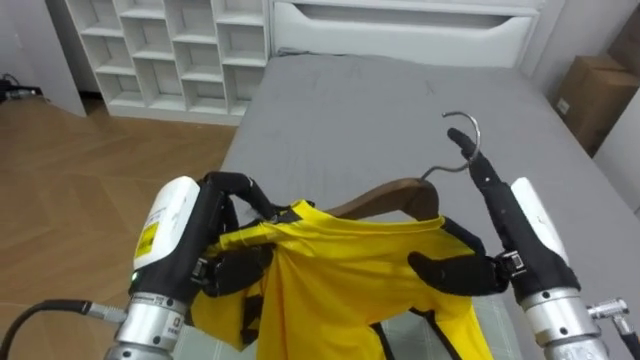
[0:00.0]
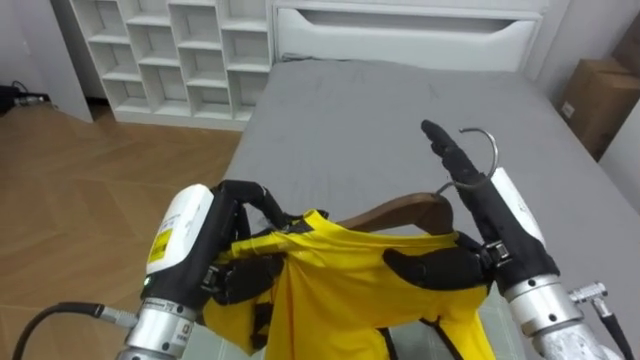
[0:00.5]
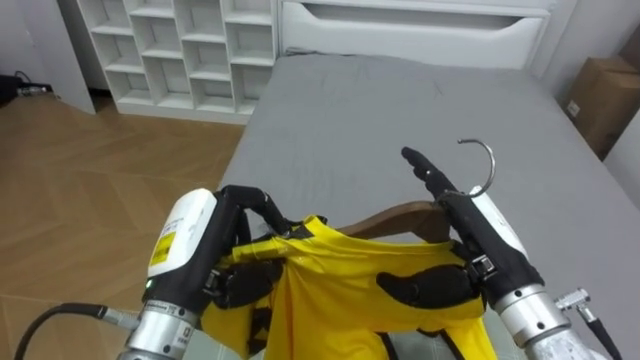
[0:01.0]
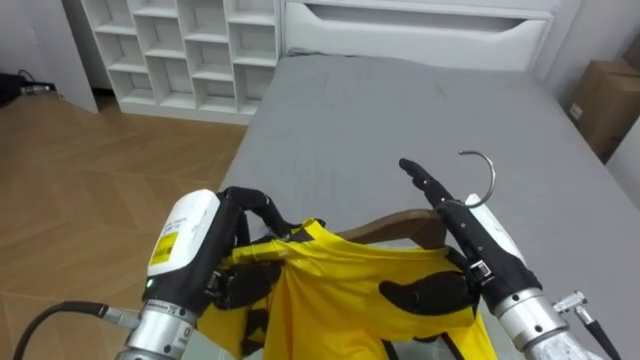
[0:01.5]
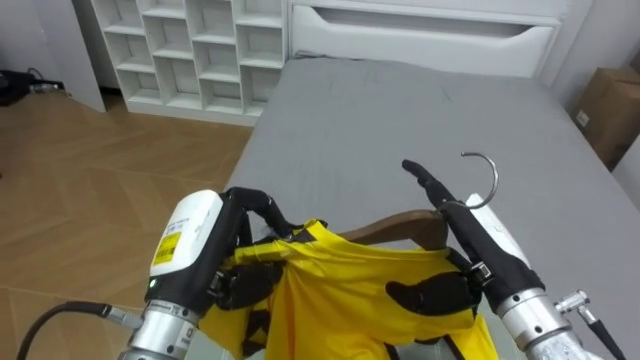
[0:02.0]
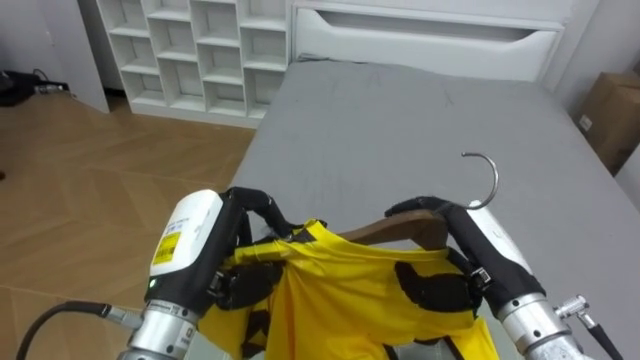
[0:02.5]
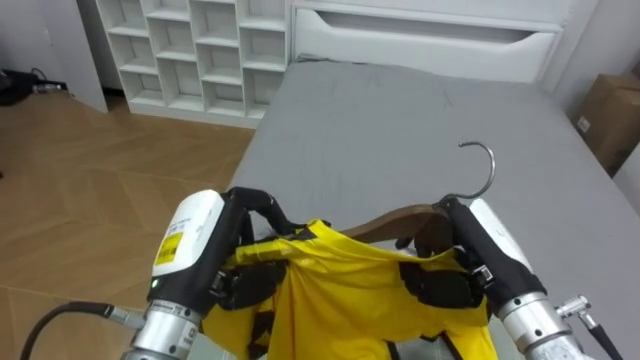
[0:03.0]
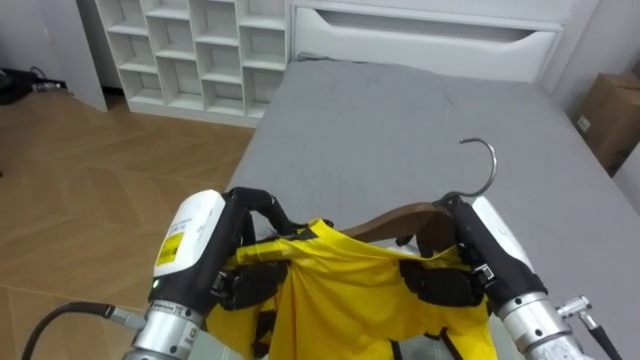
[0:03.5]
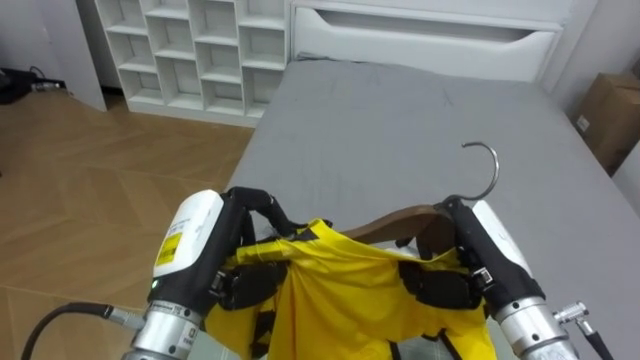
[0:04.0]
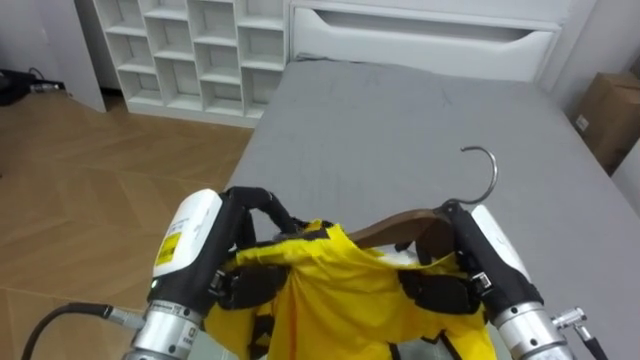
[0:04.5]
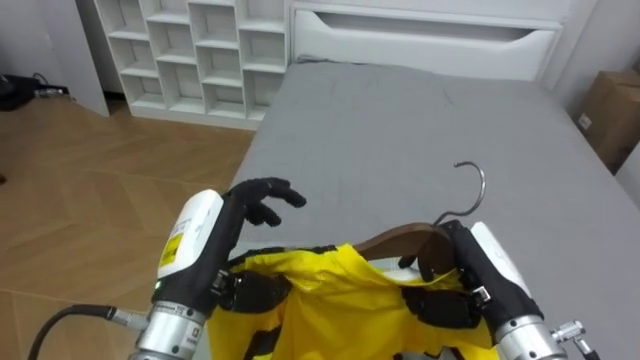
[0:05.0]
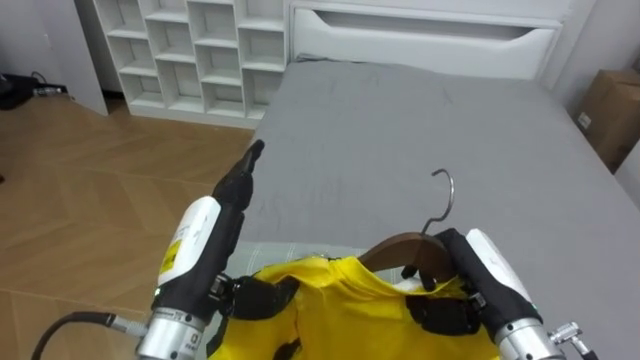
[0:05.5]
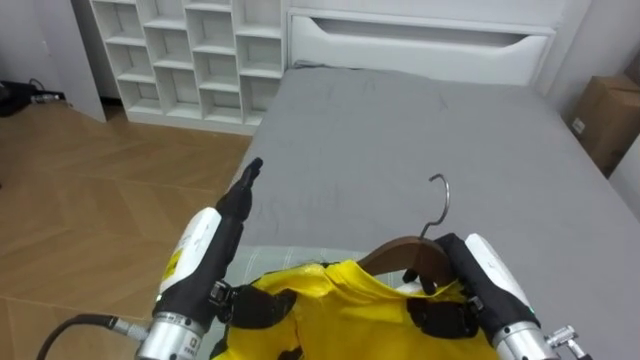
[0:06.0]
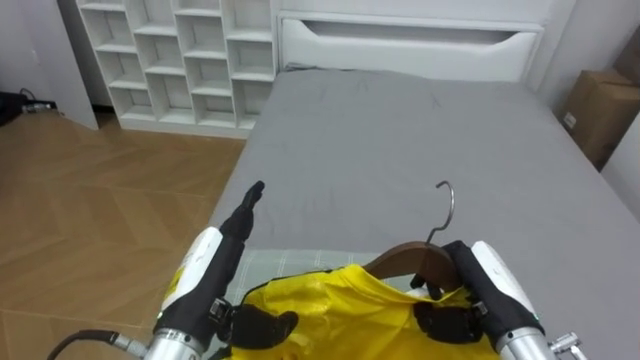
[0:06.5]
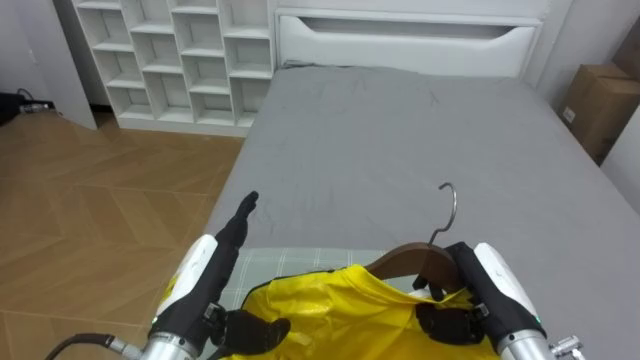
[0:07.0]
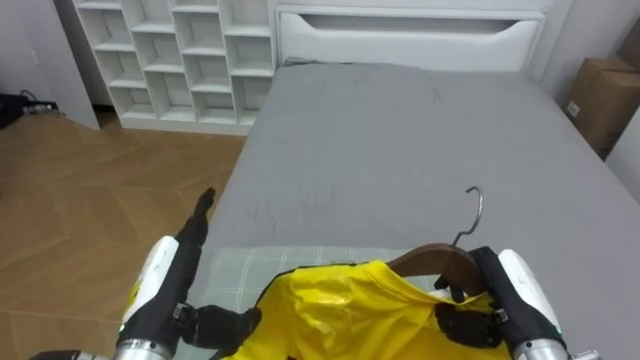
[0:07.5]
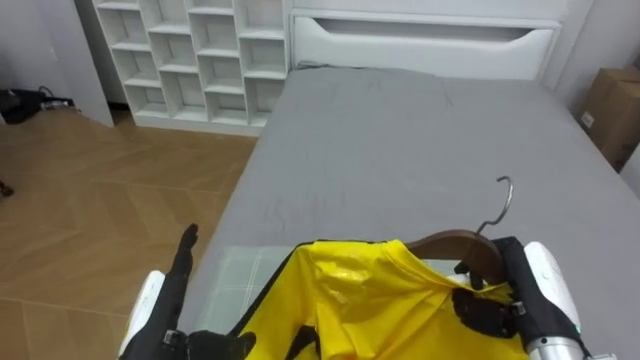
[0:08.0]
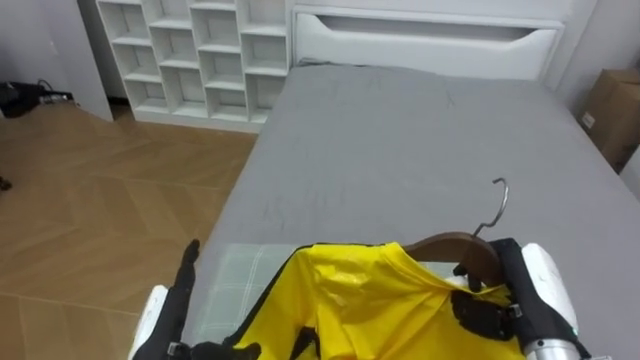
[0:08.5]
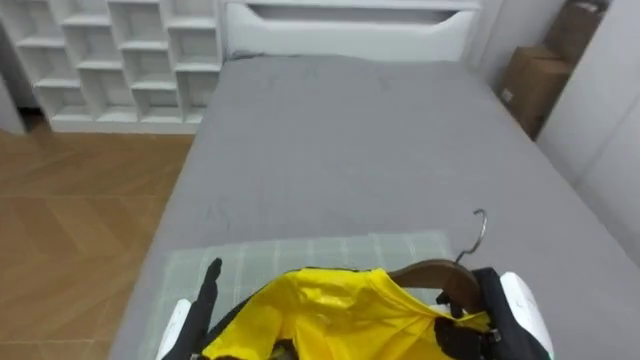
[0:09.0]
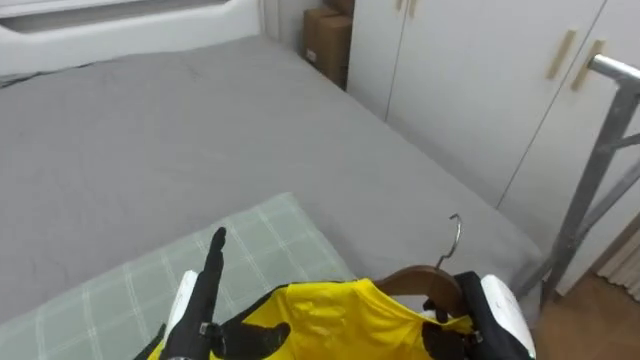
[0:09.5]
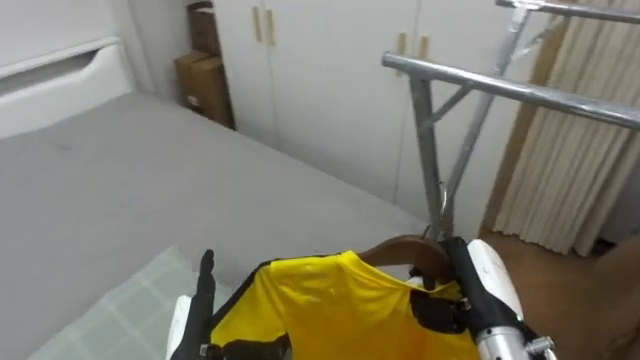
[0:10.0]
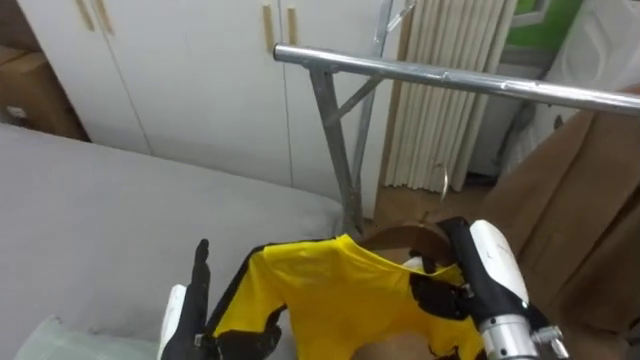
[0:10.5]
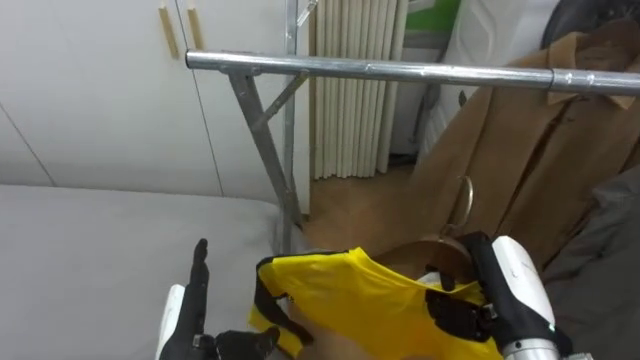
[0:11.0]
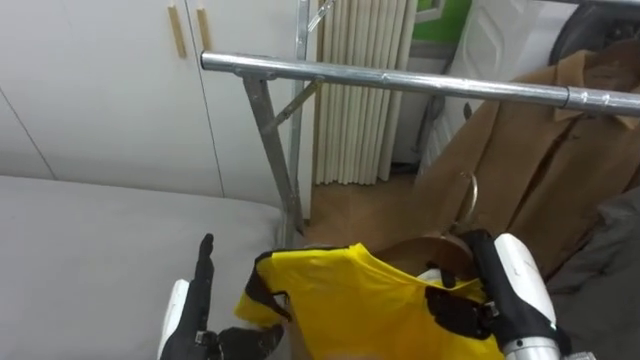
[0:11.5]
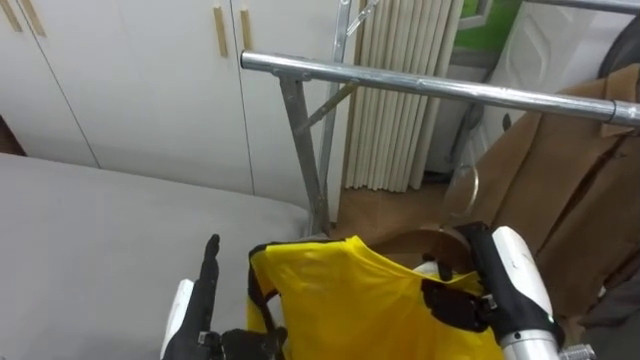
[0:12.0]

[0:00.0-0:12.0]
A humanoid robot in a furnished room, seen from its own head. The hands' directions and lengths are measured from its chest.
Task of the whole recording: Pick up the yellow shirt on the bed and hang it on the clothes rack on the right.
0:02.0 to 0:04.0: The right hand closes up.
0:04.0 to 0:06.0: The left hand opens.
0:06.0 to 0:08.0: The right hand is displaced to the right by some 5 cm; the left hand shifts approximately 10 cm downward and to the left.
0:08.0 to 0:10.0: The robot faces about 60 degrees further to its right. The right hand travels to the left by about 5 cm. The left hand changes place by some 5 cm.
0:10.0 to 0:12.0: The robot turns to its right by approximately 30 degrees. The right hand shifts by some 5 cm.

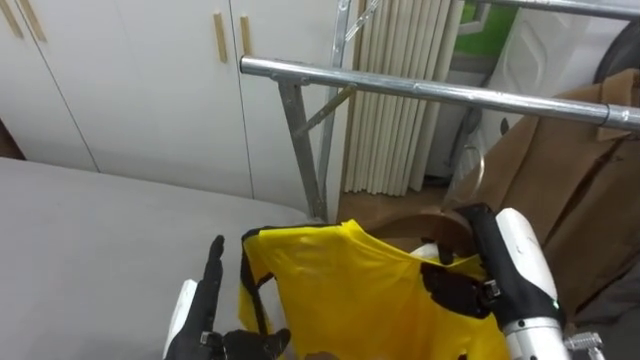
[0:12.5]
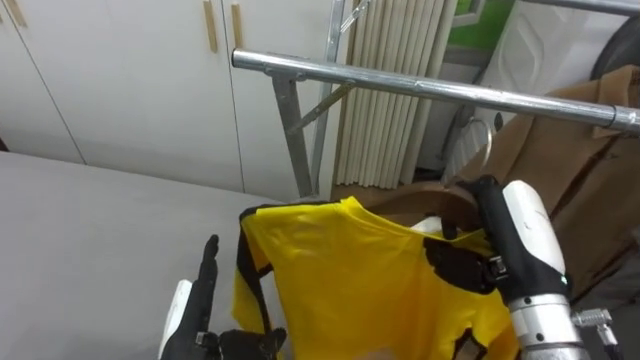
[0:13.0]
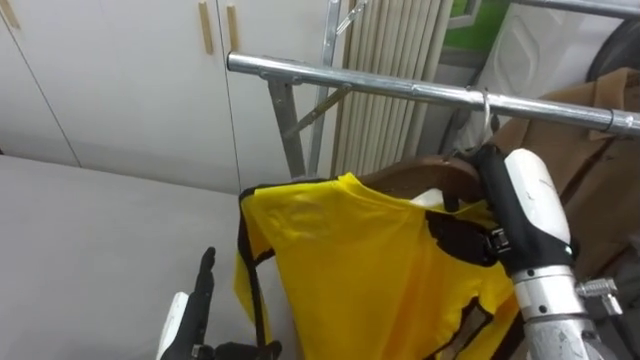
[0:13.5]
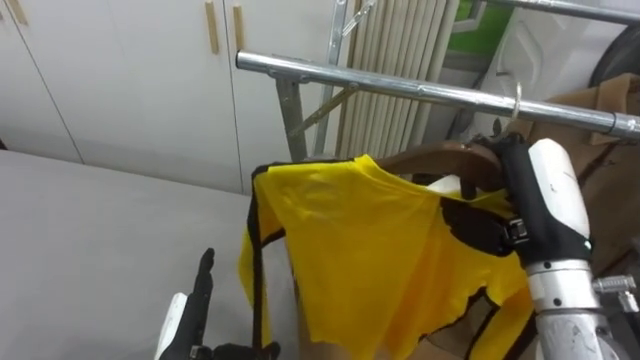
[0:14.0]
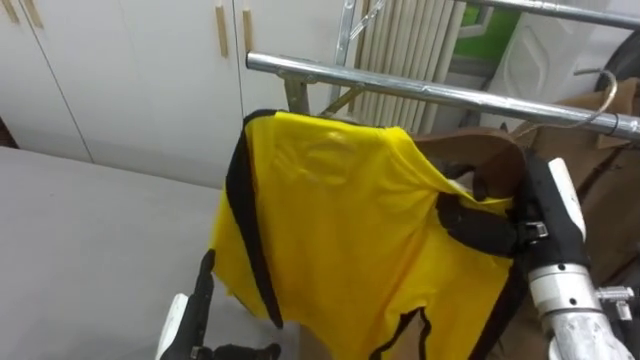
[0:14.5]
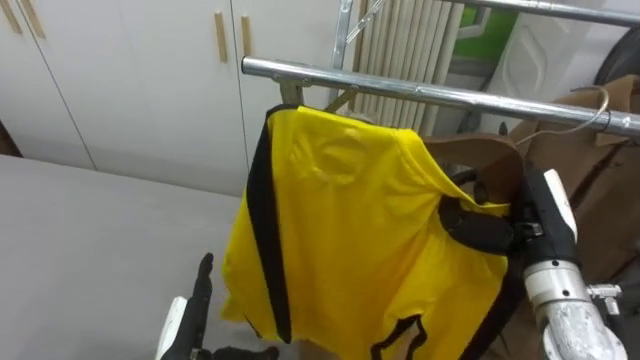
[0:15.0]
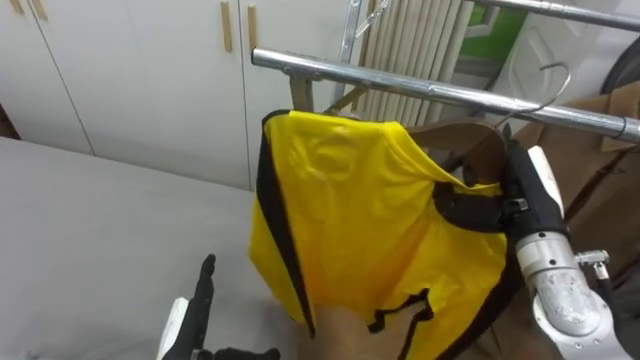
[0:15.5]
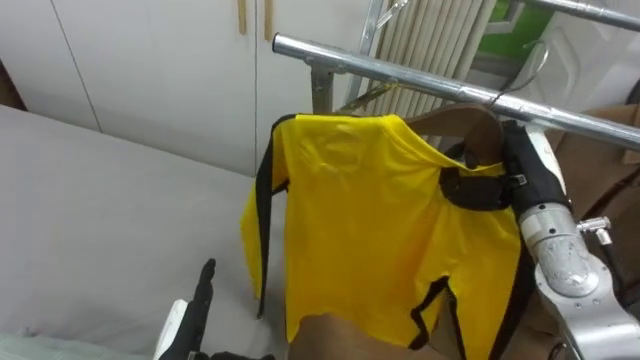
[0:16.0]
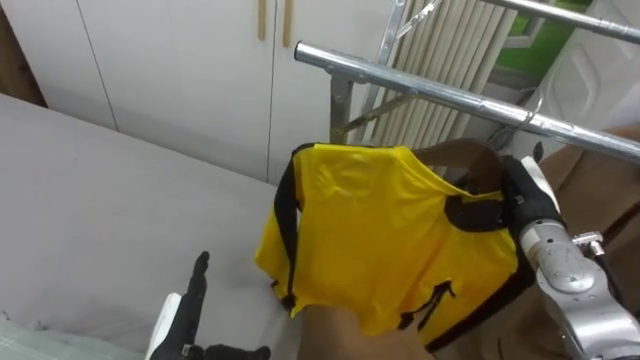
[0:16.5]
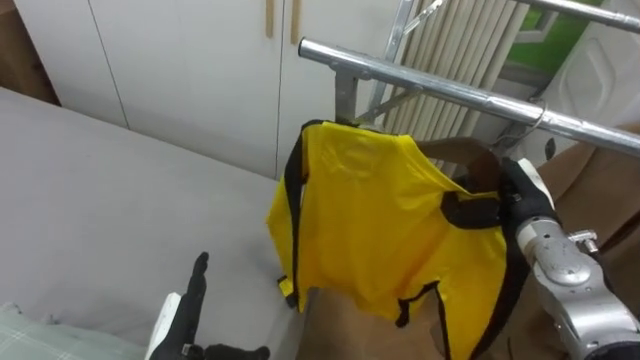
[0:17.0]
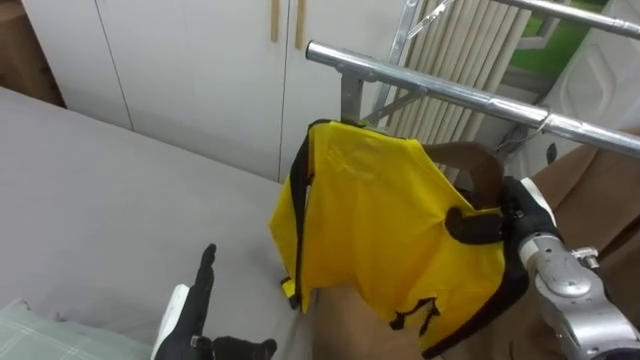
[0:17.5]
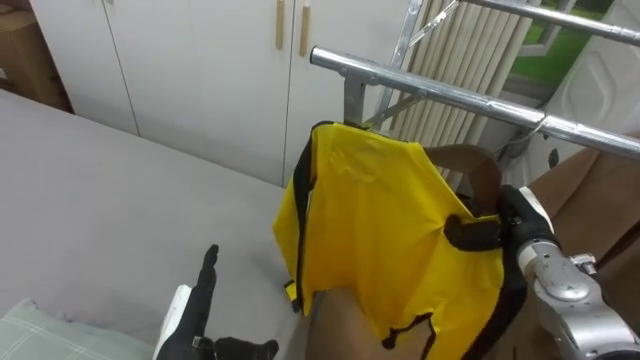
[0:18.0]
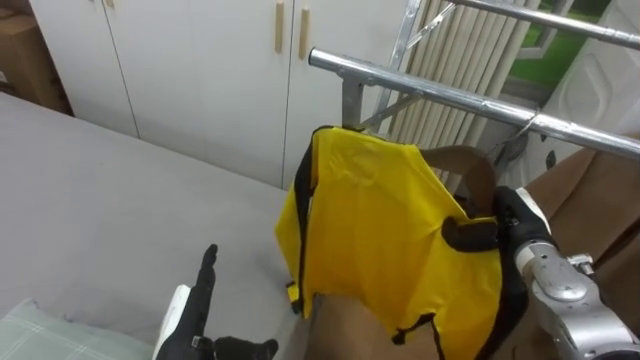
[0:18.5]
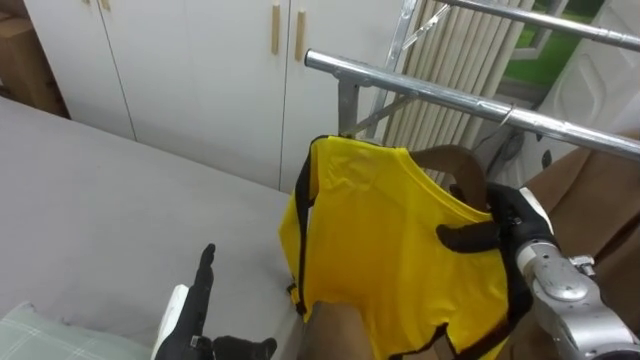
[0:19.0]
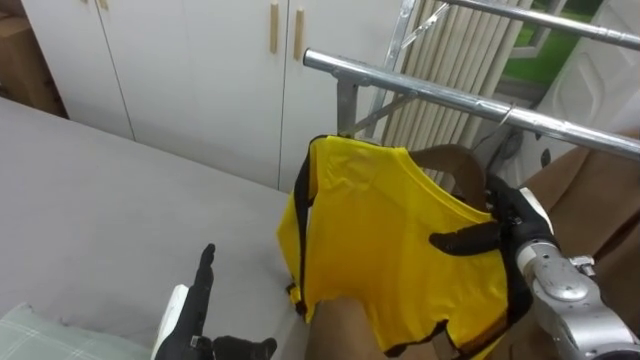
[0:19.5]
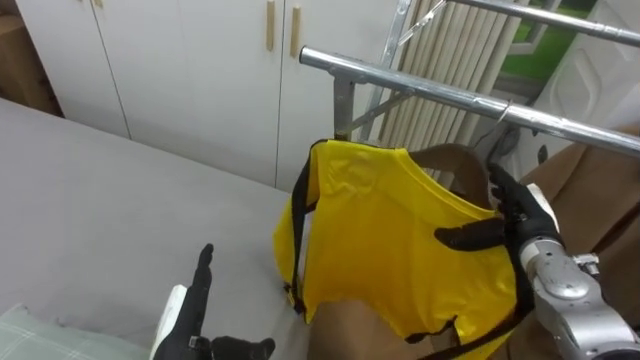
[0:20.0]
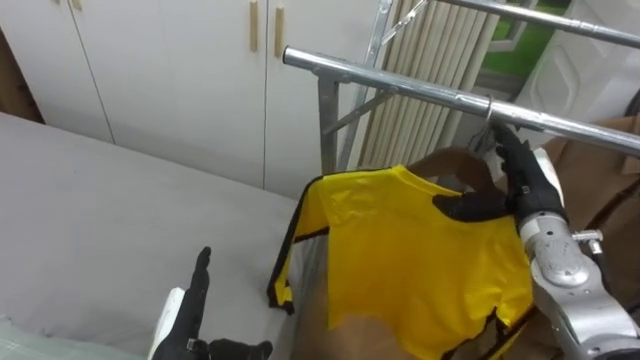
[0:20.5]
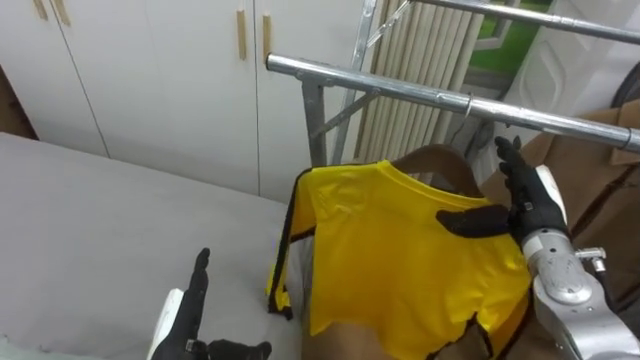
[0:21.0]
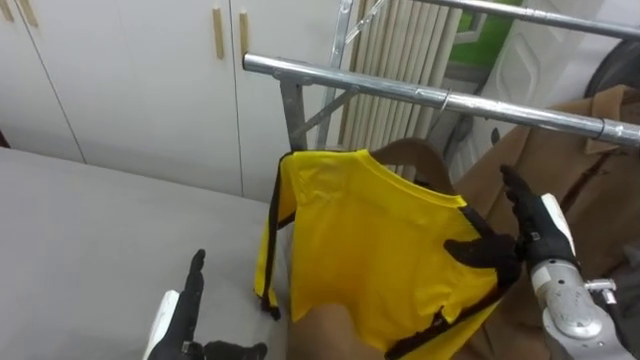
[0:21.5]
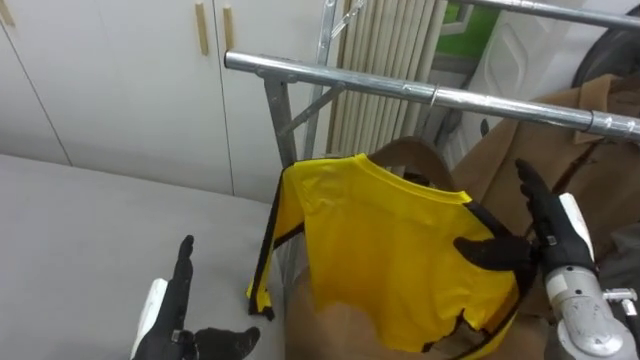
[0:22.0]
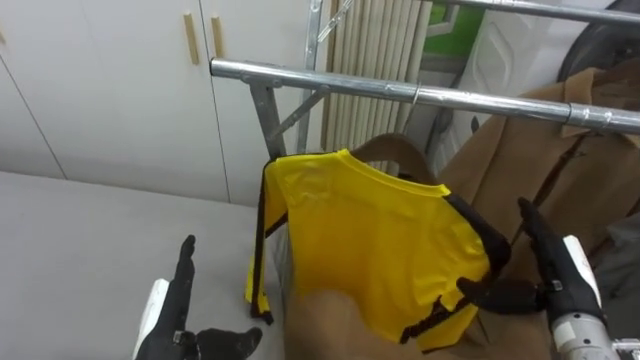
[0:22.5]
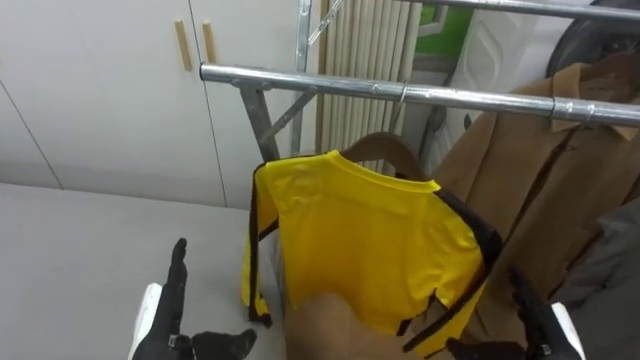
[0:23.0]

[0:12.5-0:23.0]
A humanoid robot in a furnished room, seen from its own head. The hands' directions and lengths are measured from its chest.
Task of the whole recording: Pick up the yellow shirt on the bed and hang it on the clothes rack on the right.
0:12.5 to 0:14.5: The right hand shifts by roughly 5 cm.
0:14.5 to 0:16.5: The right hand travels forward and downward by approximately 10 cm.
0:16.5 to 0:19.0: The right hand opens its fingers.
0:19.0 to 0:21.0: The right hand opens up.
0:21.0 to 0:23.0: The right hand is displaced backward and downward by roughly 15 cm.
